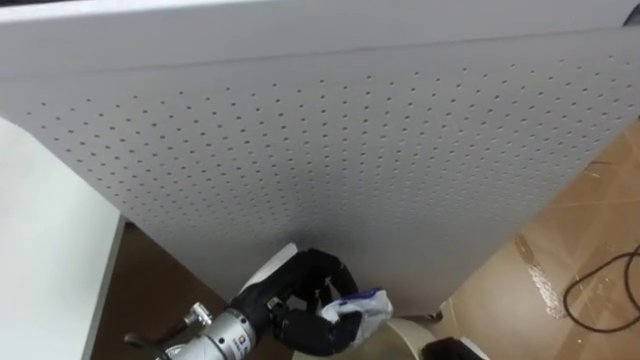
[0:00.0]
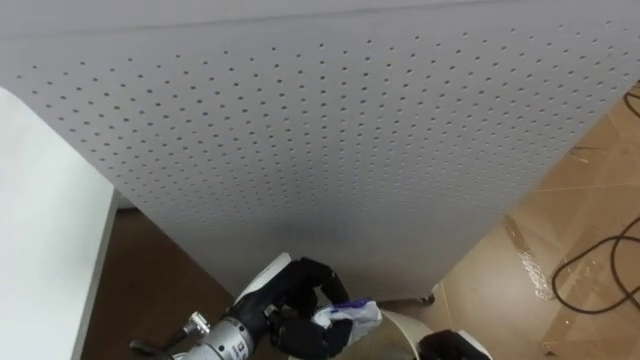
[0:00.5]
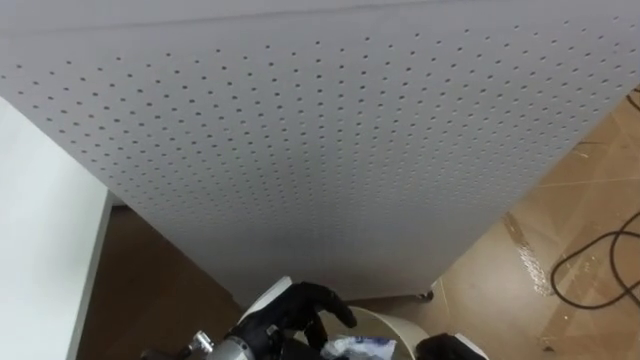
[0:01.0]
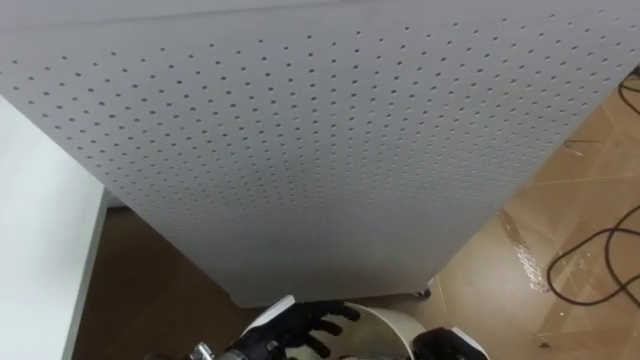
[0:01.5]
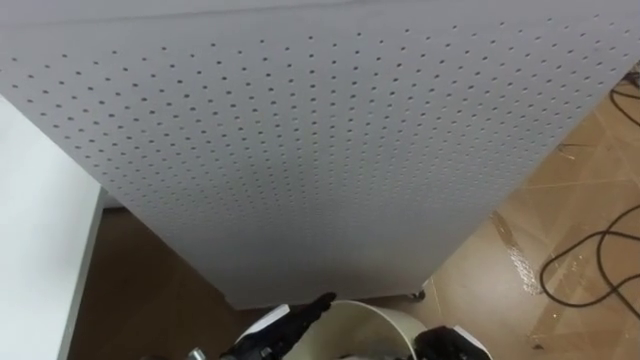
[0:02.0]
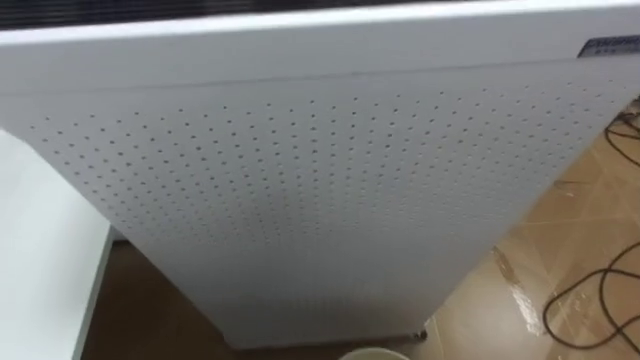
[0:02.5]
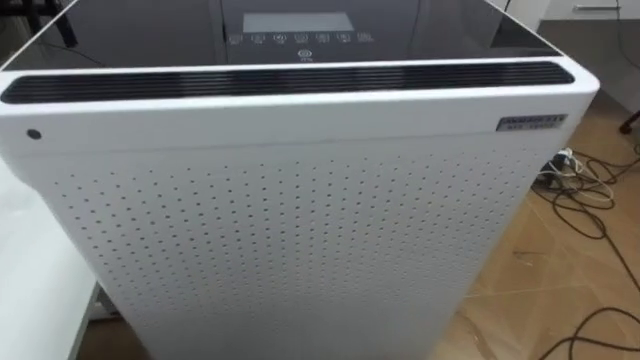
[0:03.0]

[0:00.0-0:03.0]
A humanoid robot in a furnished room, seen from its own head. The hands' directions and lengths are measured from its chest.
Task of the whole recording: Pick up the light blue package, the candy box, and the dark blue package separately, and put them into the trash can held in your right hand.
0.0 to 1.5 s: The left hand heads downward, covering about 5 cm, and opens up.

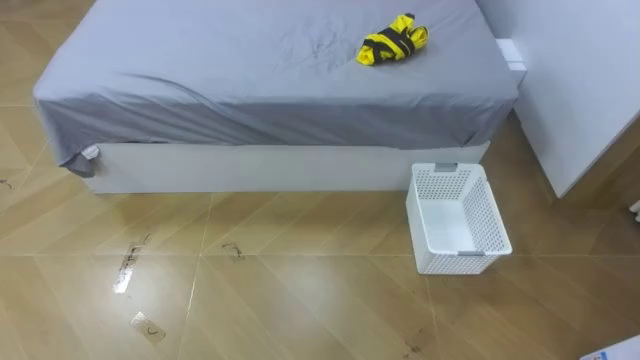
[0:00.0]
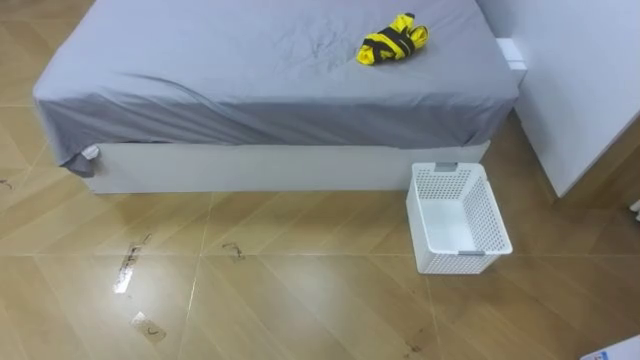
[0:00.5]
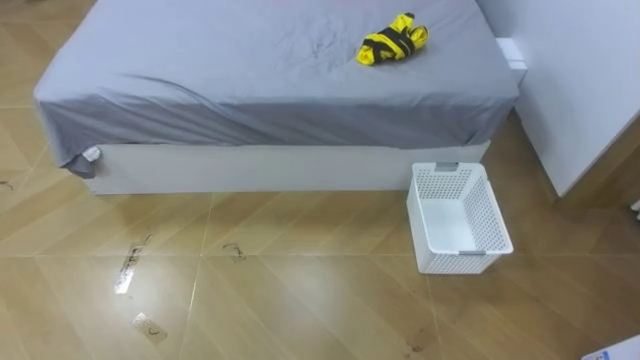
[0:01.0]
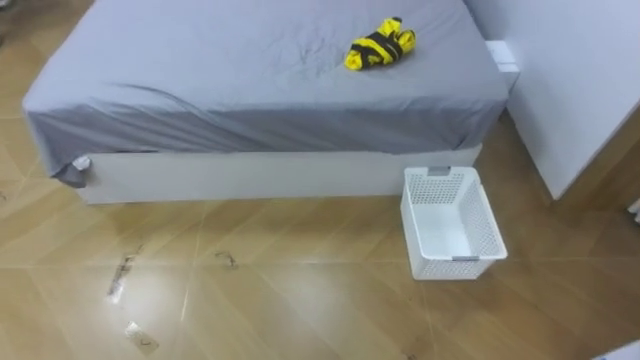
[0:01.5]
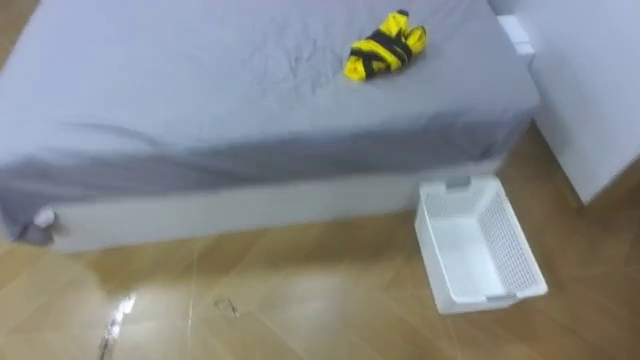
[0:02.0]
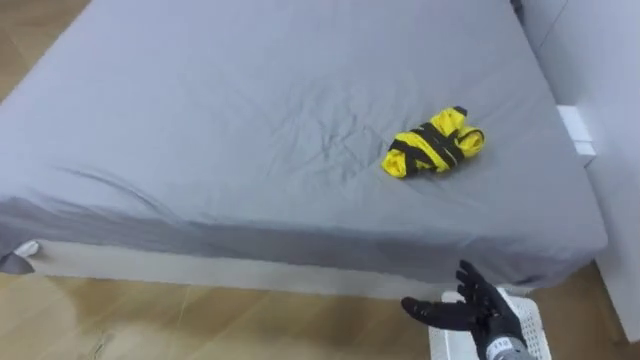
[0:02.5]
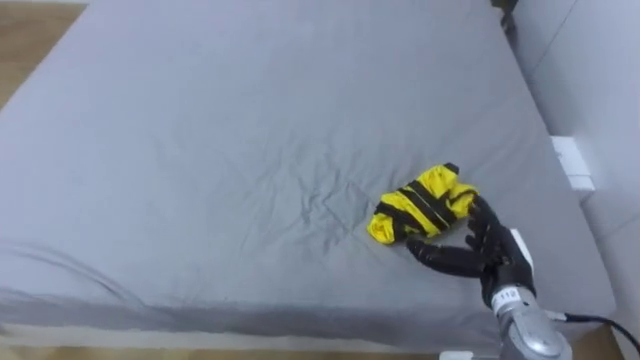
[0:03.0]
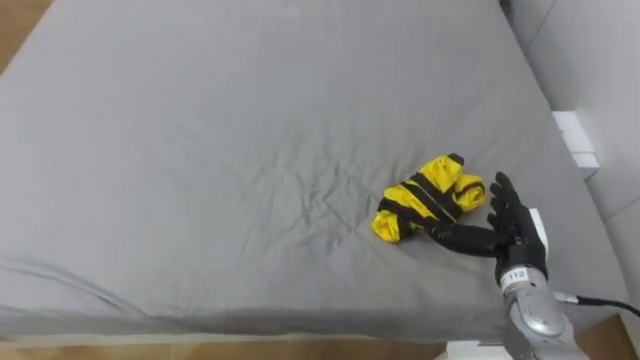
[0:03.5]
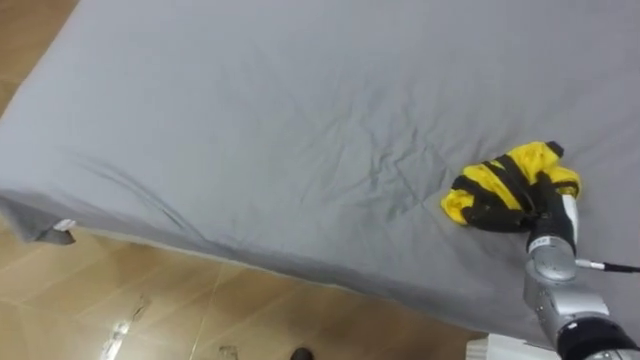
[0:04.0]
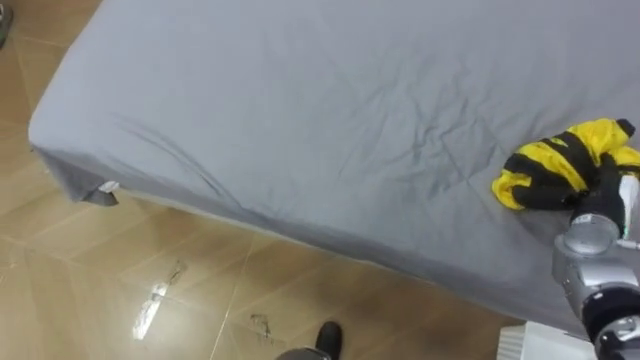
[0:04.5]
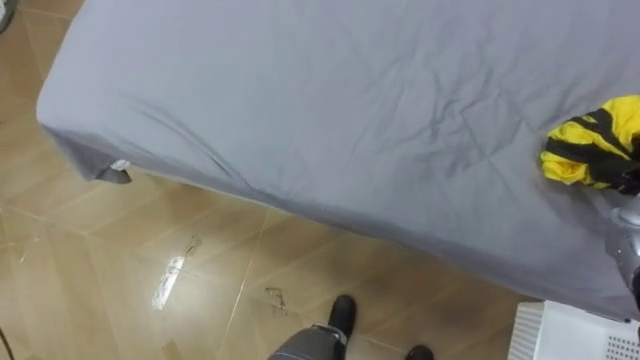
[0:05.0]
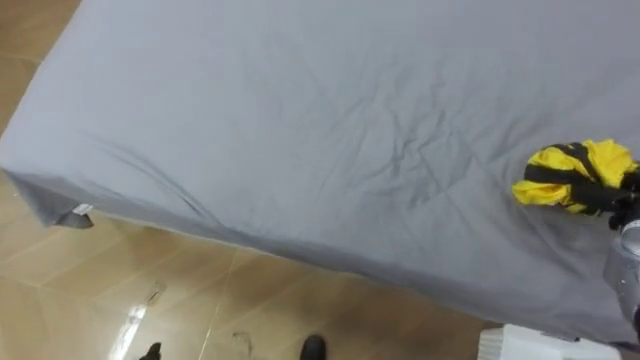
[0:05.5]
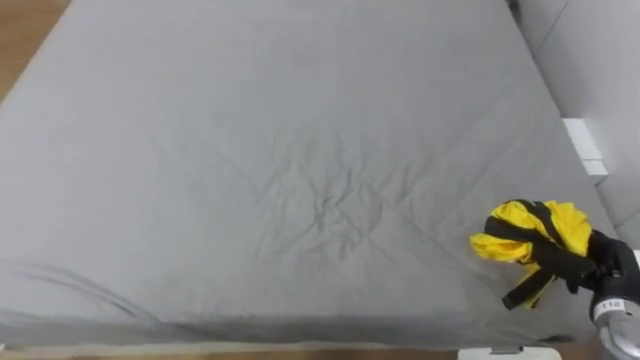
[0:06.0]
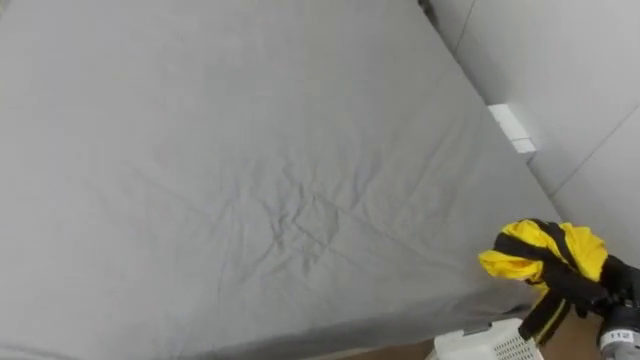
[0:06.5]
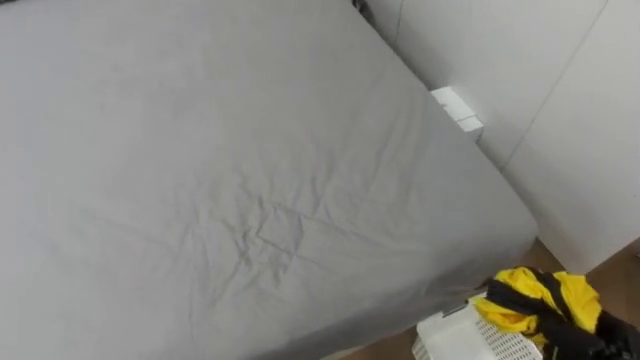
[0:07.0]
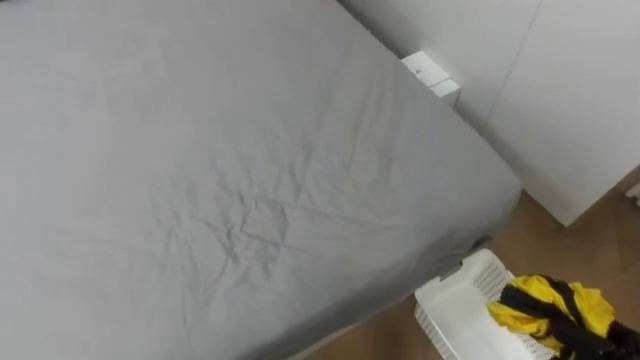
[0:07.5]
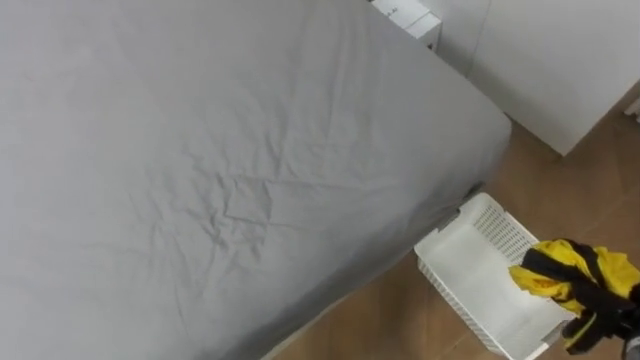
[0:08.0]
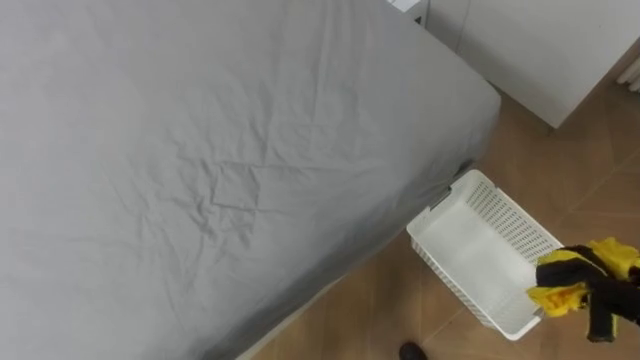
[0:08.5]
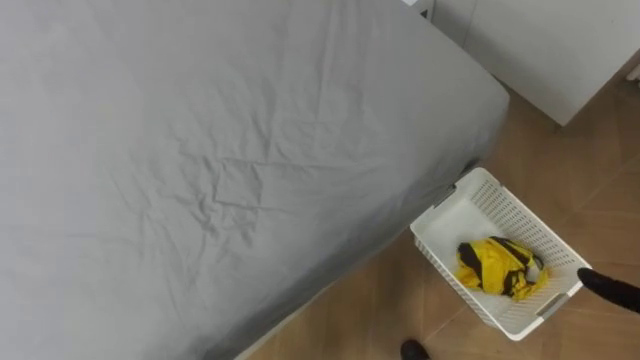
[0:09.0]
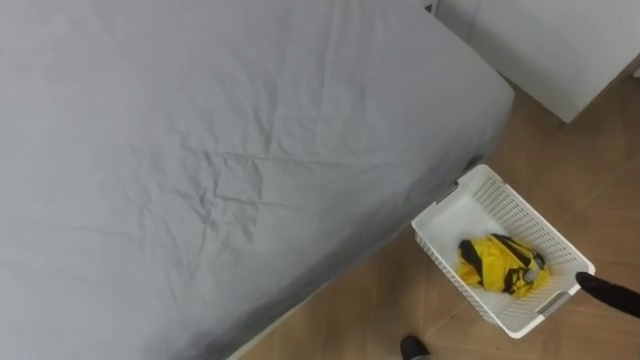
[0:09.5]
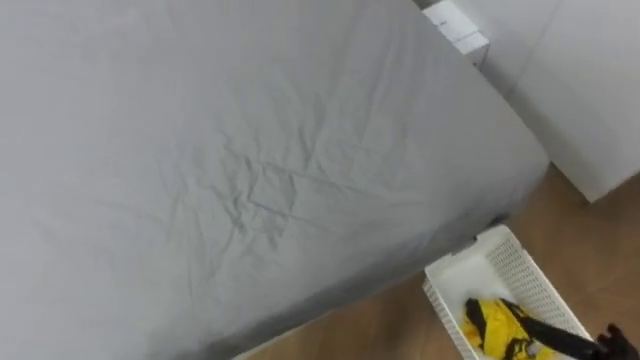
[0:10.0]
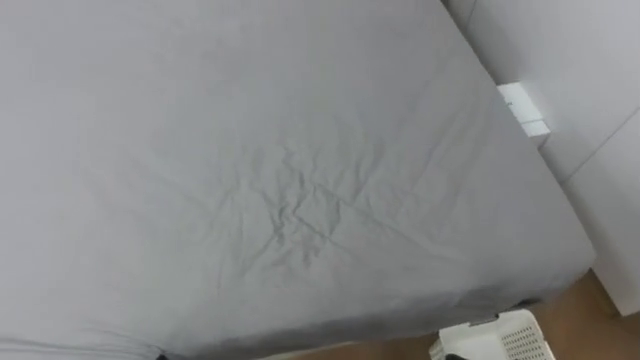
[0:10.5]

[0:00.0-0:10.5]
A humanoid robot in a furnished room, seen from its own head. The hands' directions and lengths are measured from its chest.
Task of the whole recording: Pick up the yellow clothes on the bed and place them into the white basket on the right.
6.5 to 8.5 s: The robot turns to its right by approximately 15 degrees.
8.5 to 10.5 s: The robot's body swings about 15 degrees to its left.

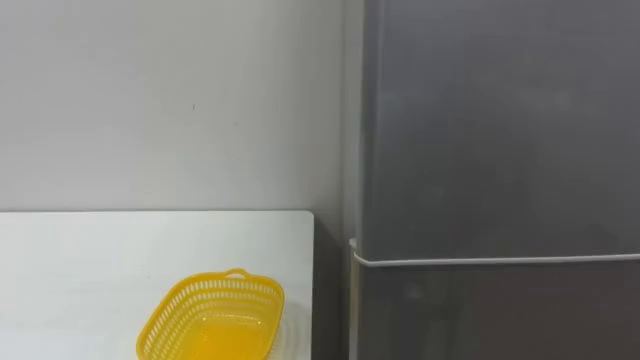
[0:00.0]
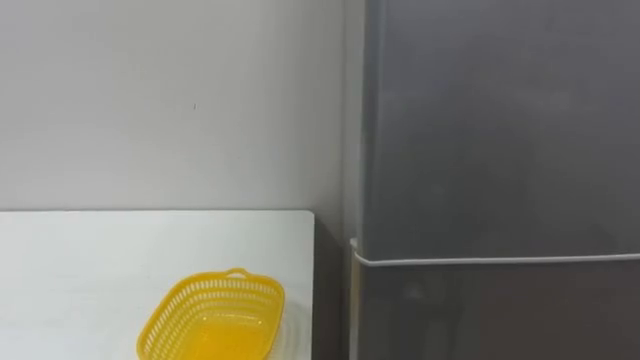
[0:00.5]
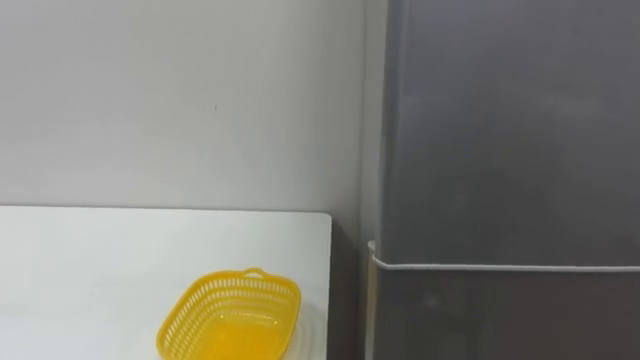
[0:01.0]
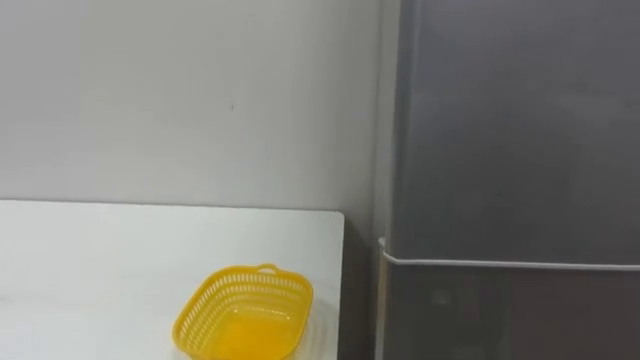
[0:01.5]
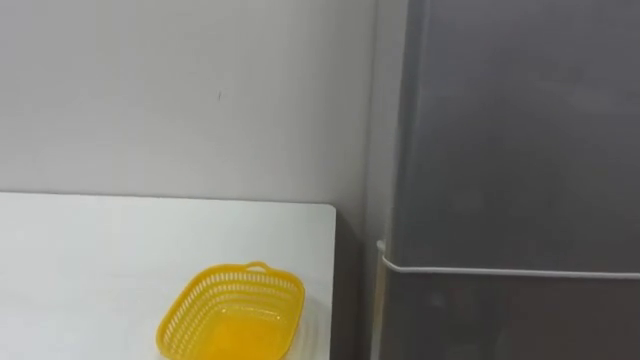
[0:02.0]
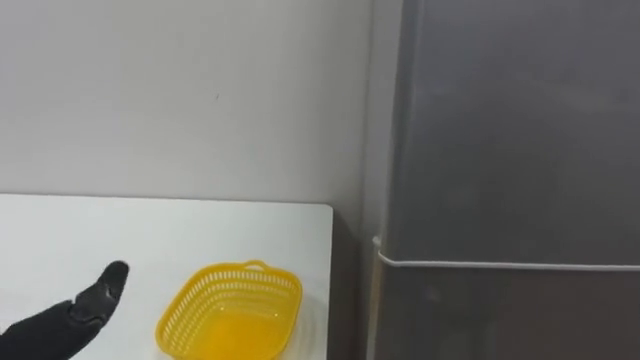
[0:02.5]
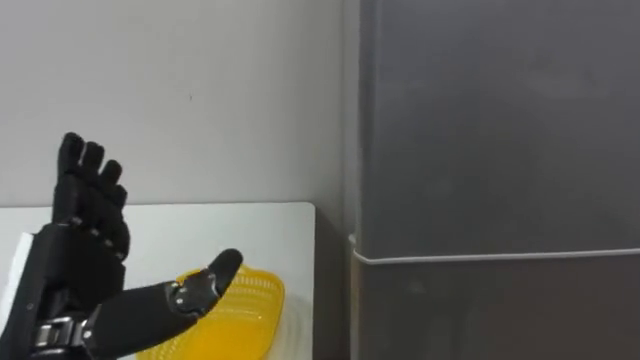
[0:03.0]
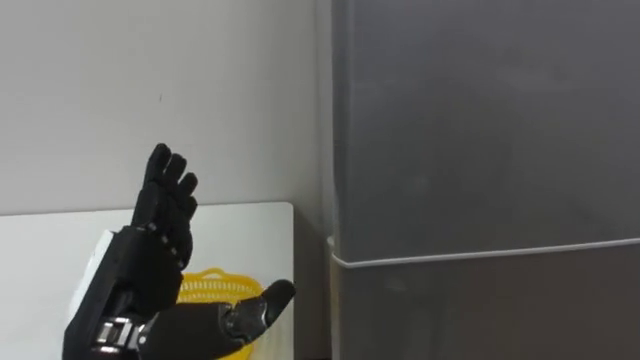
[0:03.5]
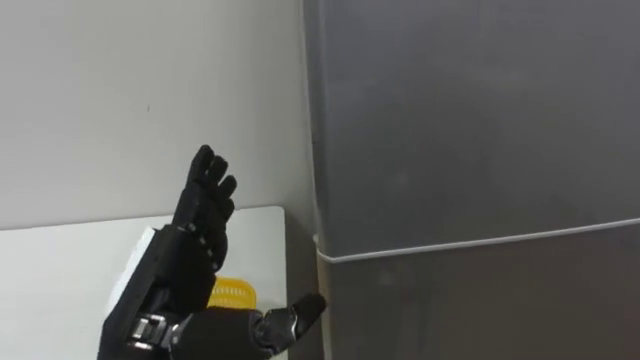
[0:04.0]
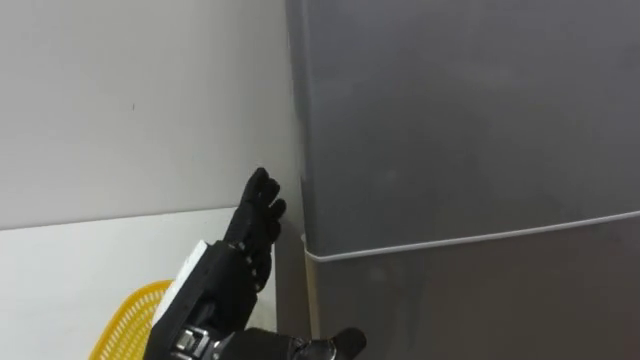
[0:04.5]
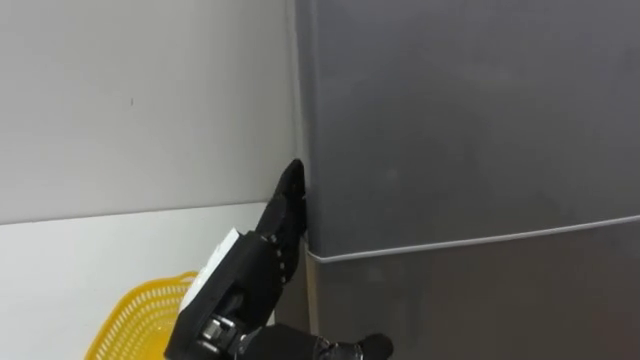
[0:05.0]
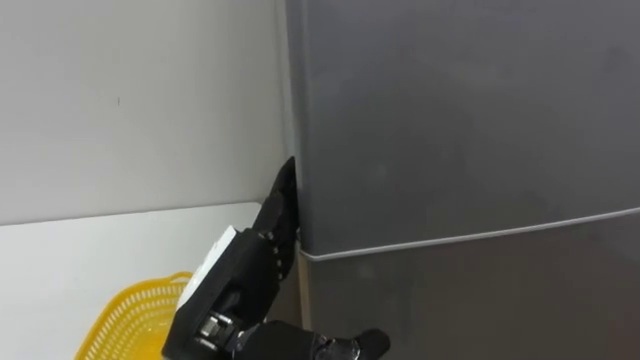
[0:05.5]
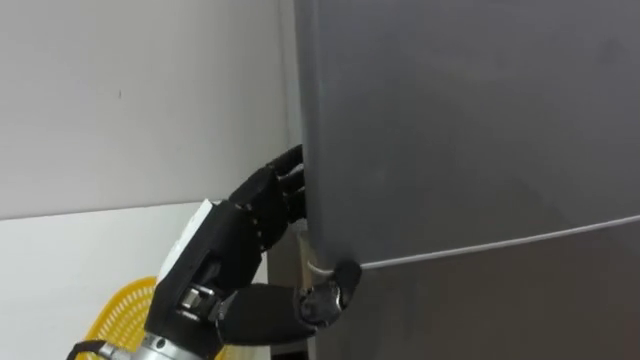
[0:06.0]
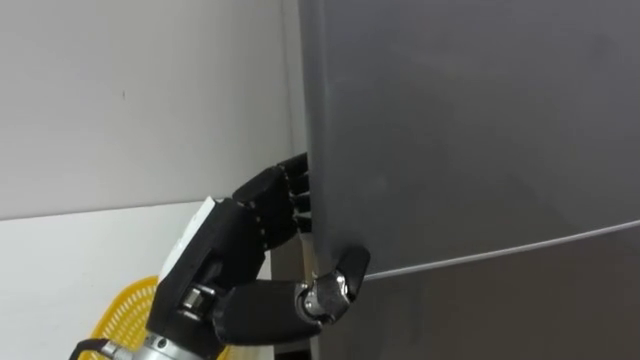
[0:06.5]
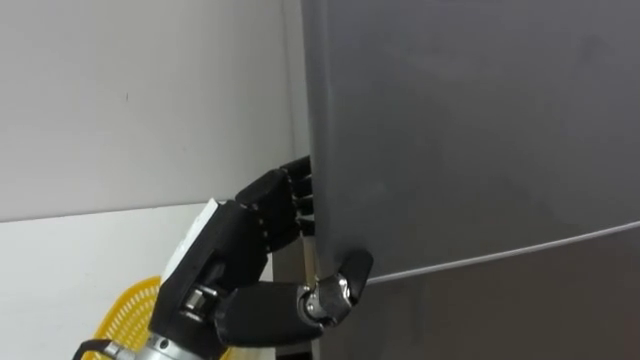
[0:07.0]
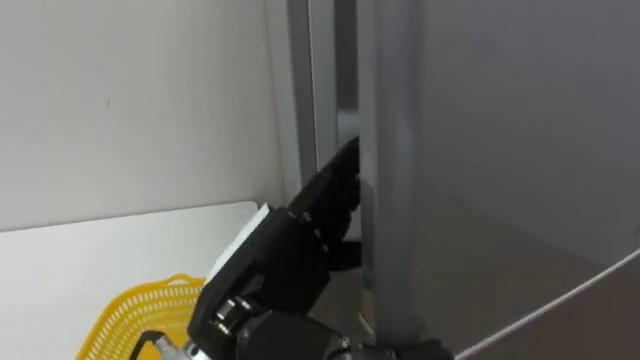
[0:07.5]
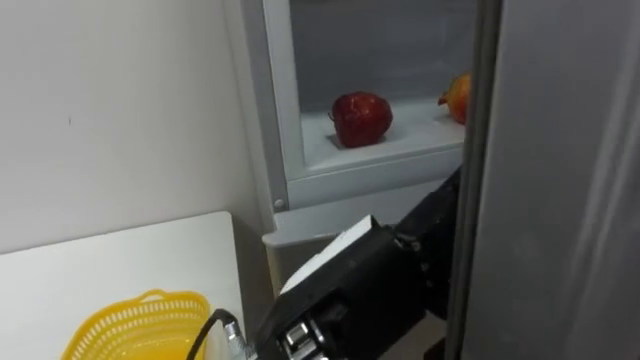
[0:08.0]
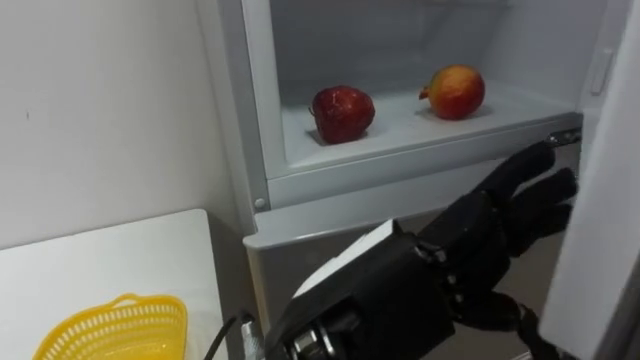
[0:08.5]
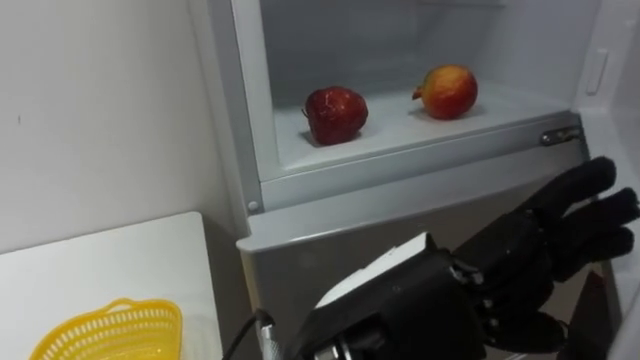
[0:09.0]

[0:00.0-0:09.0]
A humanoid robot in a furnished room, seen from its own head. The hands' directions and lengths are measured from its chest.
Task of the whole recording: Open the refrigerator door, take out the apple and the pomegranate, place them in the fruit basket on the left, and close the refrigerator door.
4.5 to 7.0 s: The left hand closes its fingers.
7.0 to 9.0 s: The left hand heads to the right and backward, covering approximately 15 cm, and opens up.
